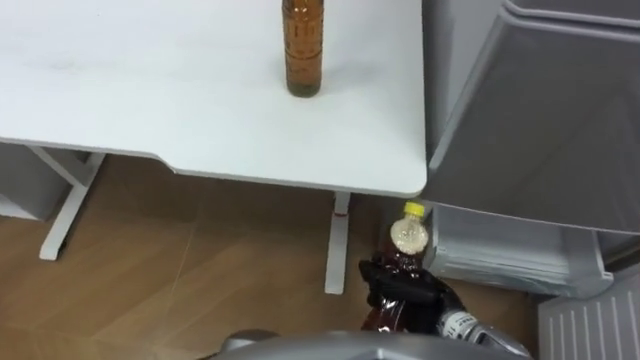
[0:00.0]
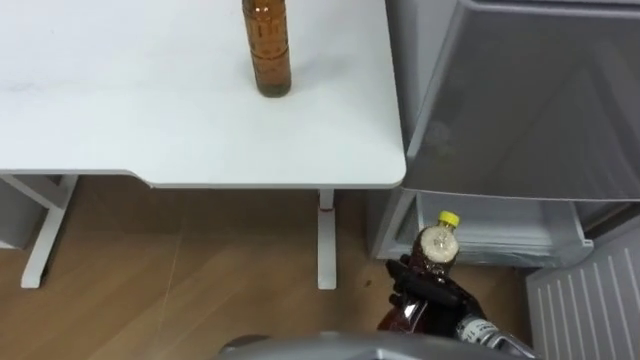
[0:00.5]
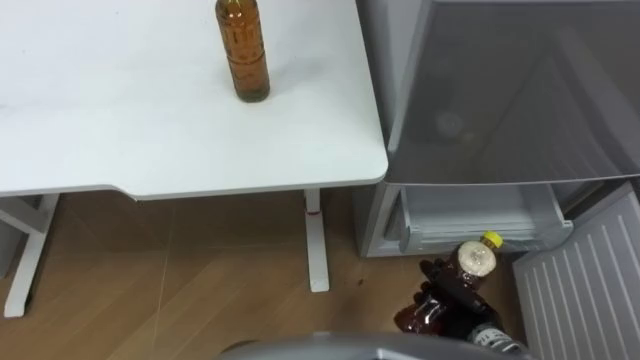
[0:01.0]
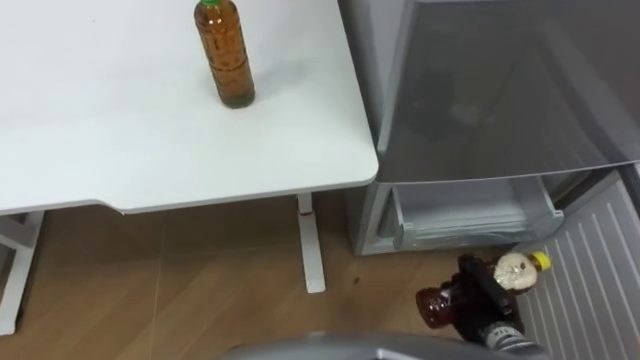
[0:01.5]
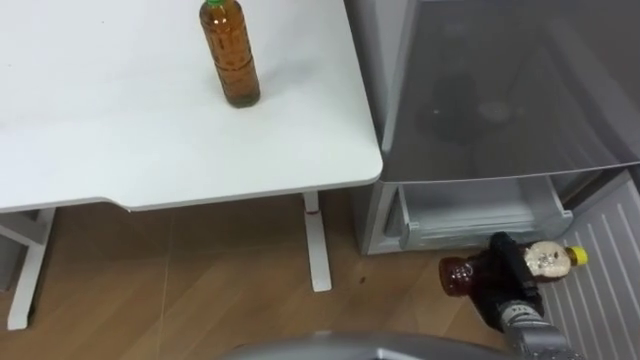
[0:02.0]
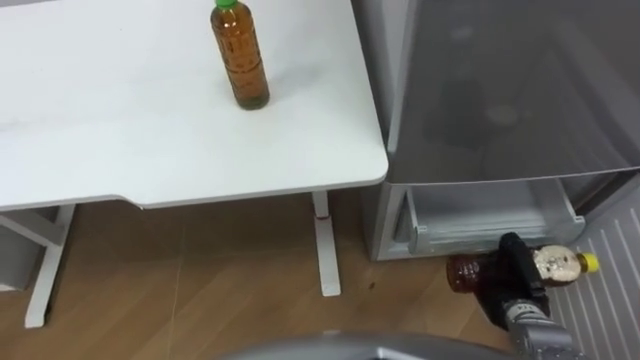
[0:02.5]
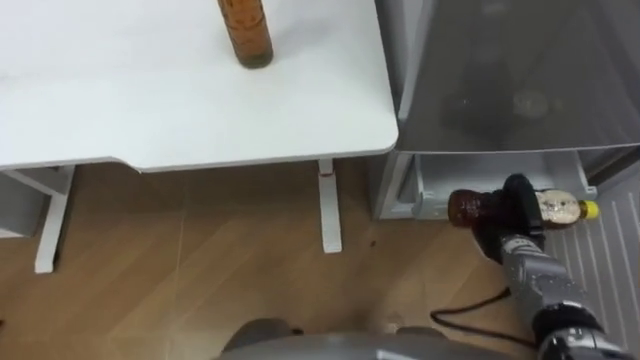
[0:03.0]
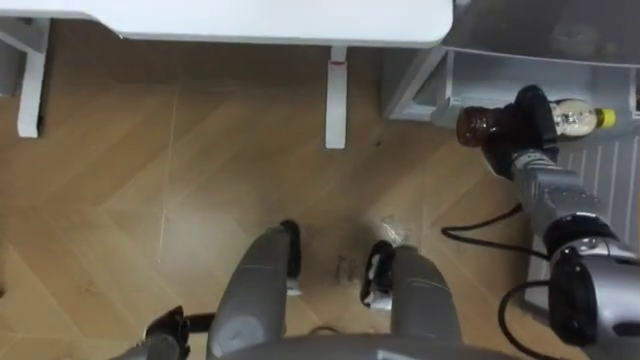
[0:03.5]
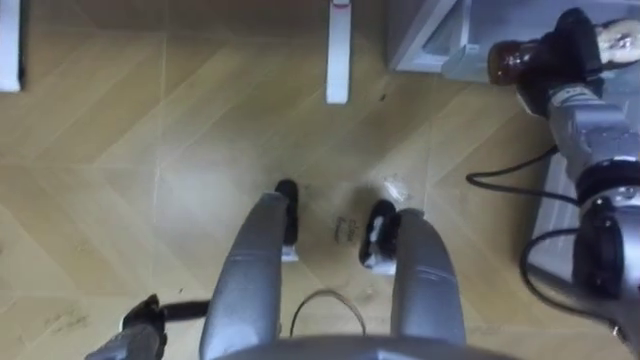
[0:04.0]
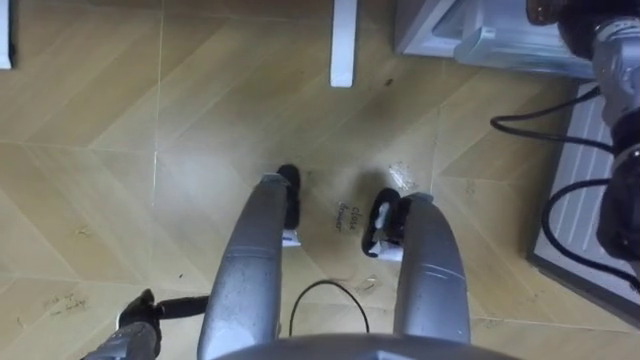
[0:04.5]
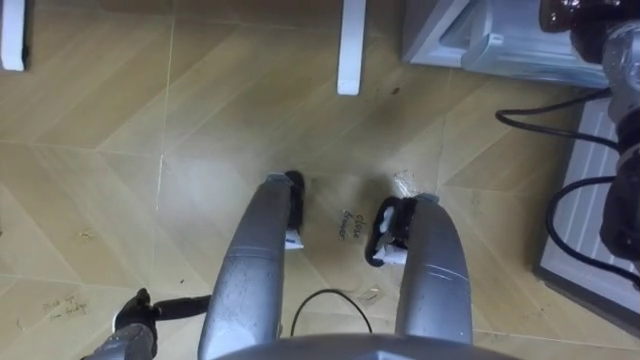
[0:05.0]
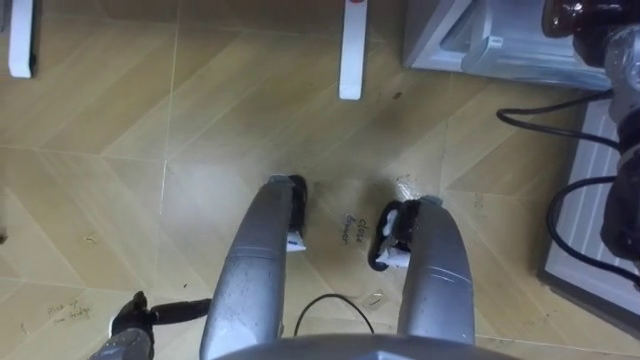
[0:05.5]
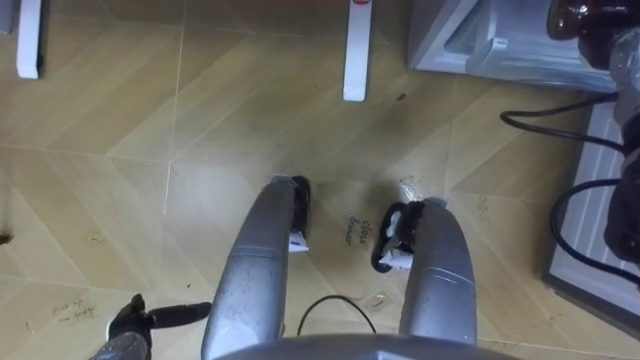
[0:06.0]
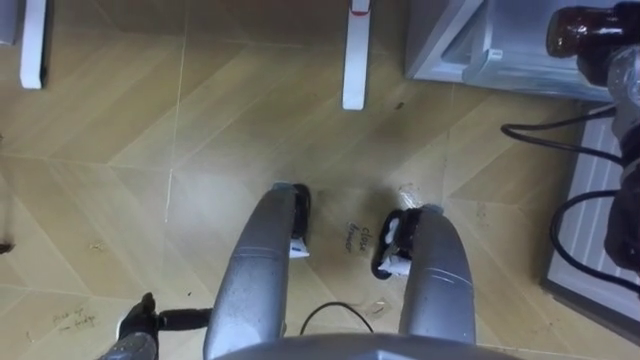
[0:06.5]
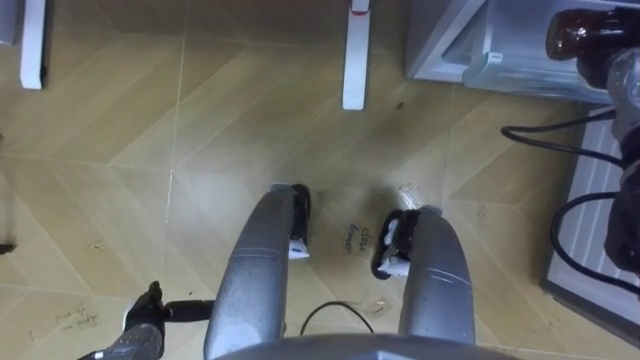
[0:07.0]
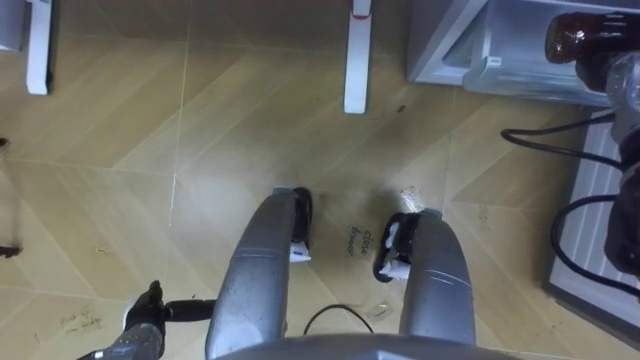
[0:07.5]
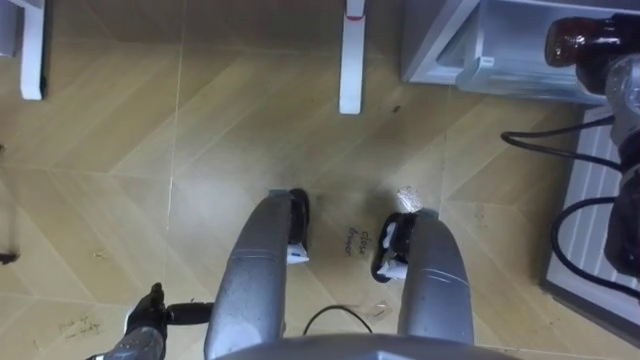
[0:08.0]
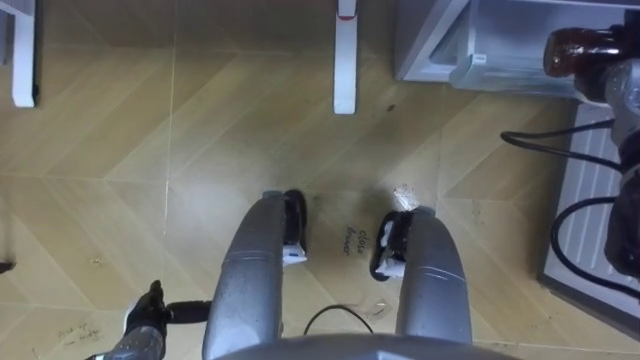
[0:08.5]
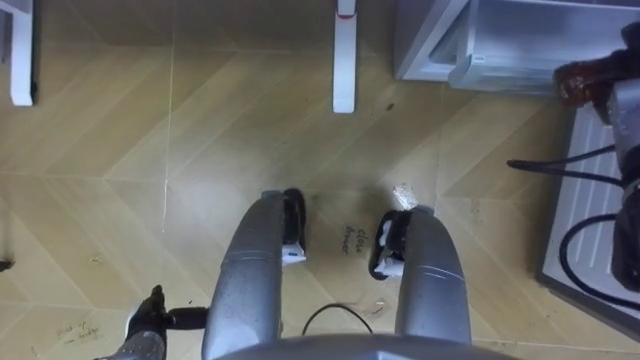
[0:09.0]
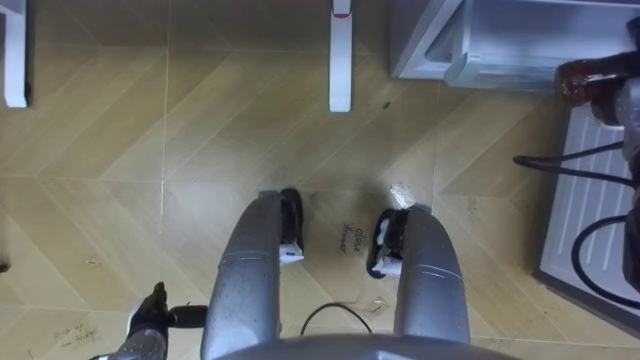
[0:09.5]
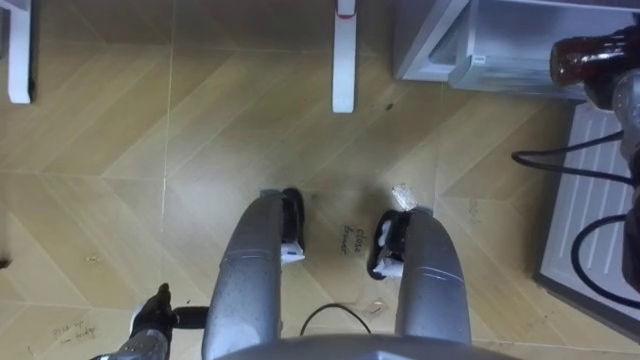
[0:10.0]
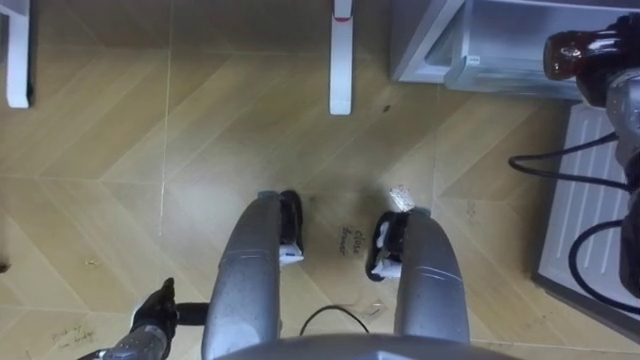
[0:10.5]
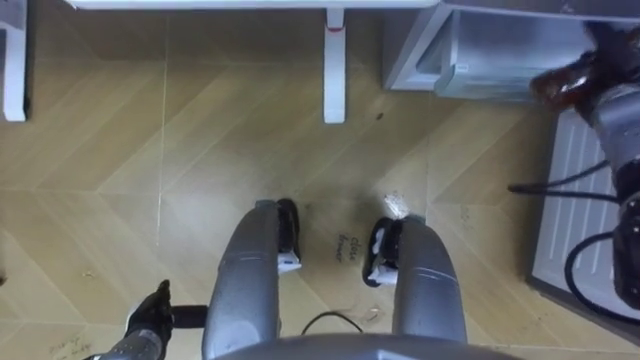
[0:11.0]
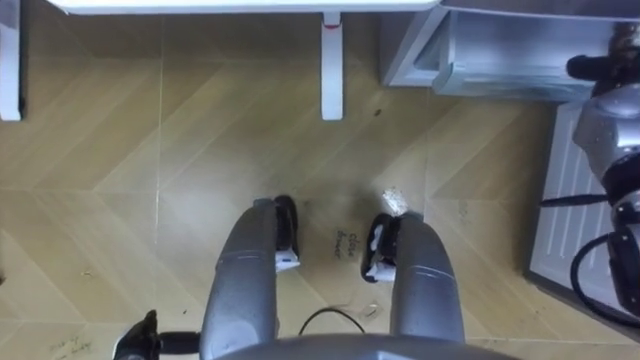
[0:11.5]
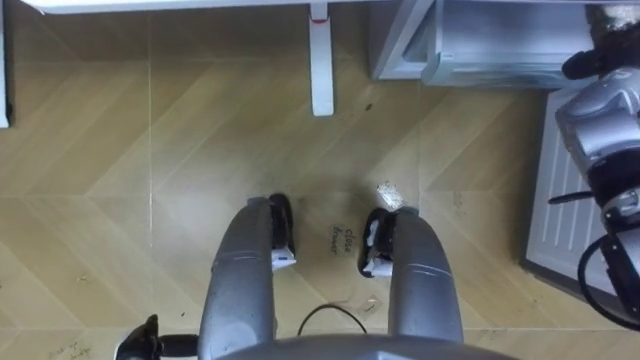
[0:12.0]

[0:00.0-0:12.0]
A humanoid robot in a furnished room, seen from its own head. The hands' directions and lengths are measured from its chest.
Task of the whole recording: Place the drink on the table on the bottom shelf of the refrigerator, then close the drawer and the refrigerator door.
0:00.0 to 0:02.0: The right hand heads to the right, covering some 15 cm.
0:02.0 to 0:04.0: The right hand is displaced forward and upward by some 30 cm.
0:04.0 to 0:06.0: The right hand goes about 5 cm upward.

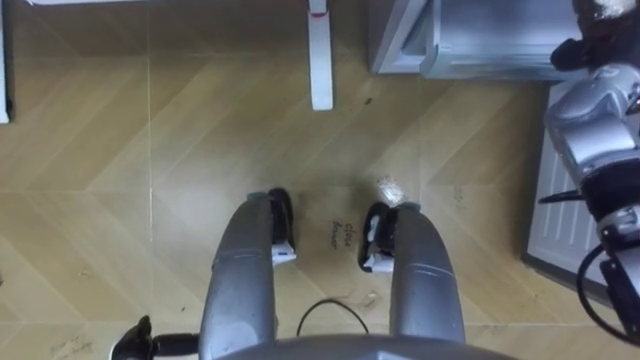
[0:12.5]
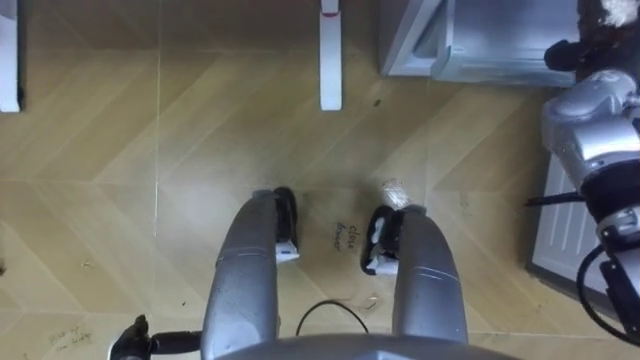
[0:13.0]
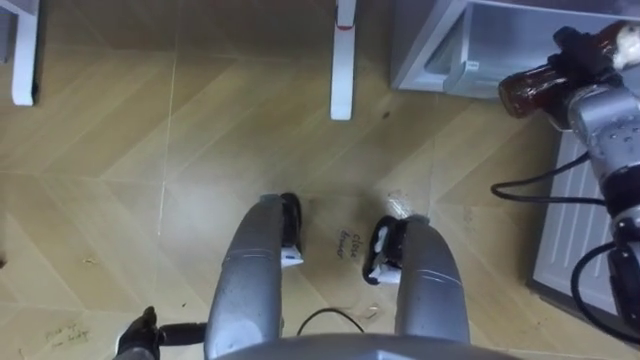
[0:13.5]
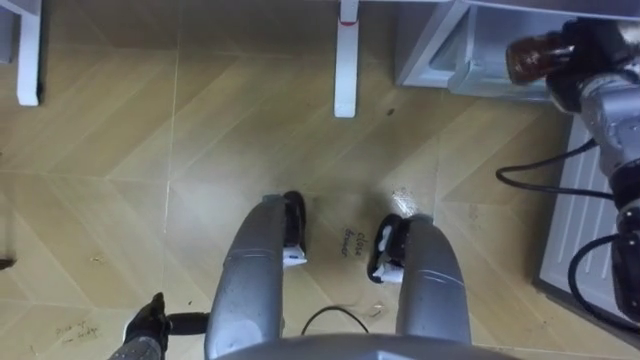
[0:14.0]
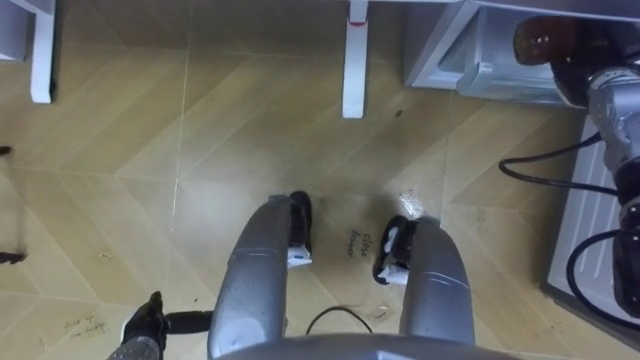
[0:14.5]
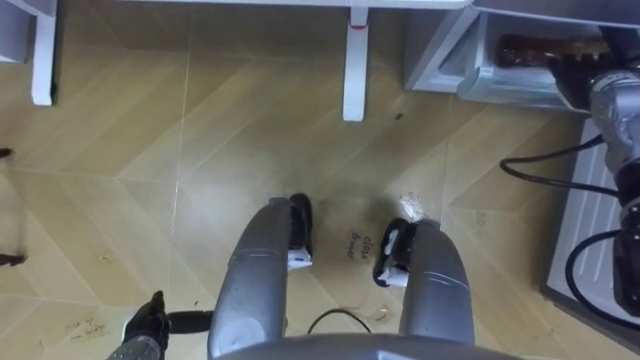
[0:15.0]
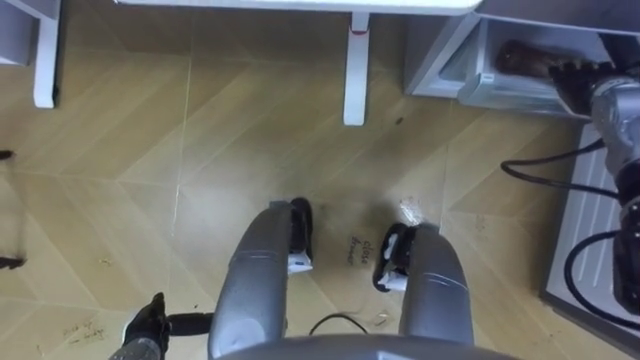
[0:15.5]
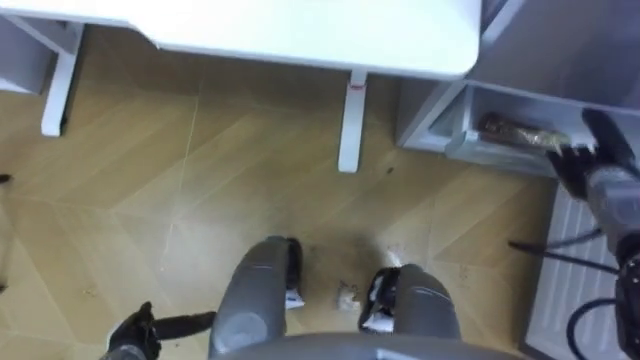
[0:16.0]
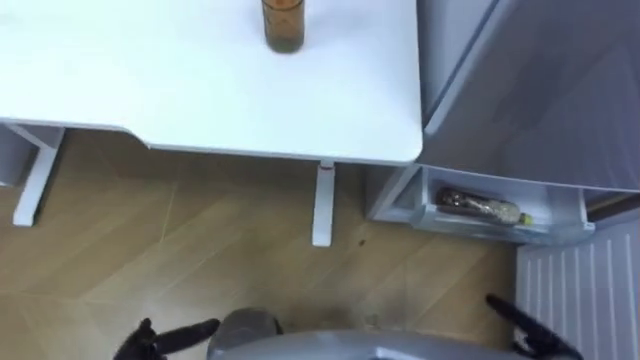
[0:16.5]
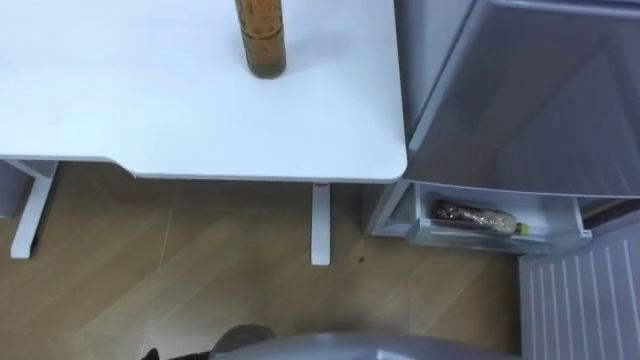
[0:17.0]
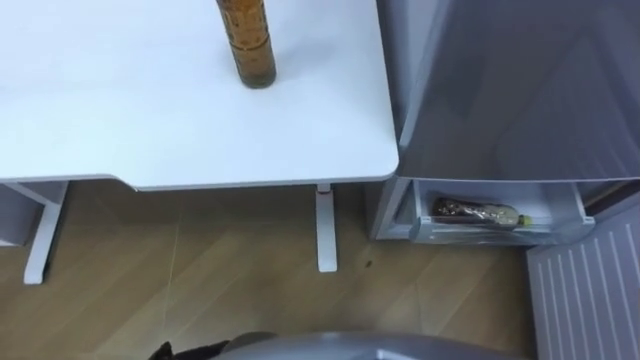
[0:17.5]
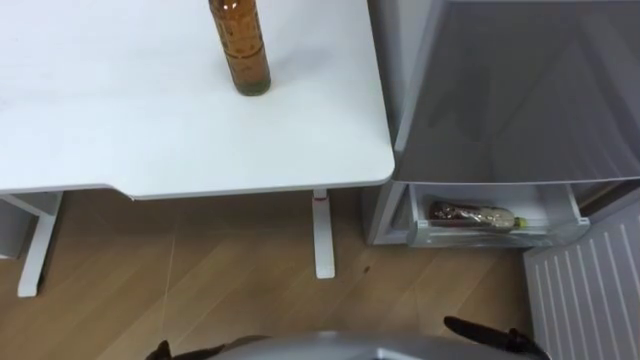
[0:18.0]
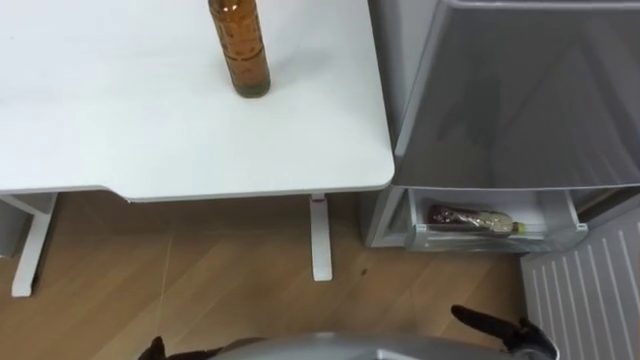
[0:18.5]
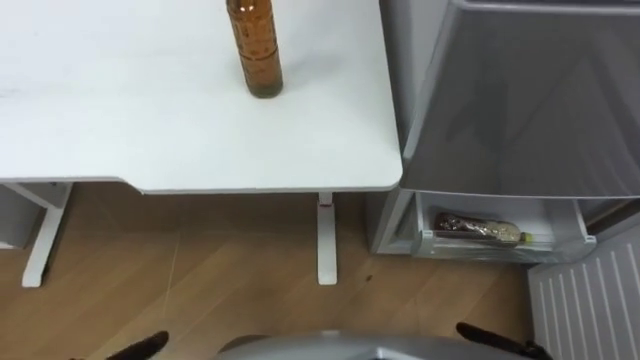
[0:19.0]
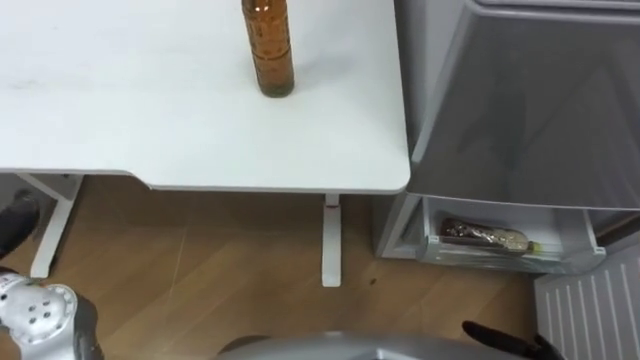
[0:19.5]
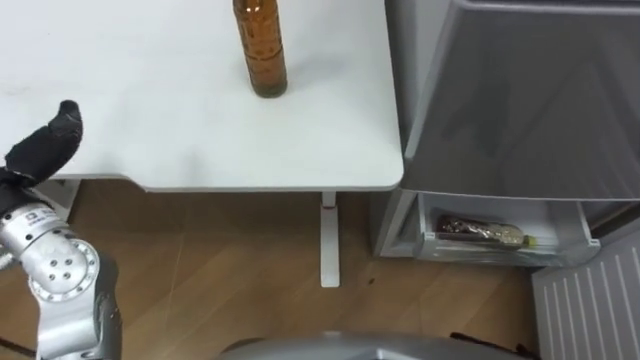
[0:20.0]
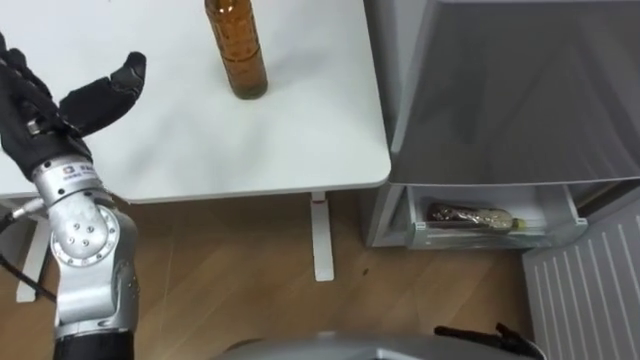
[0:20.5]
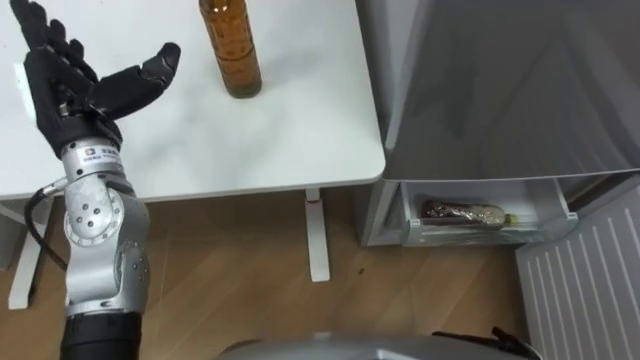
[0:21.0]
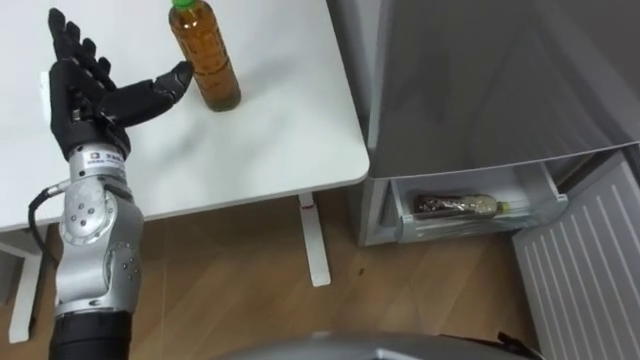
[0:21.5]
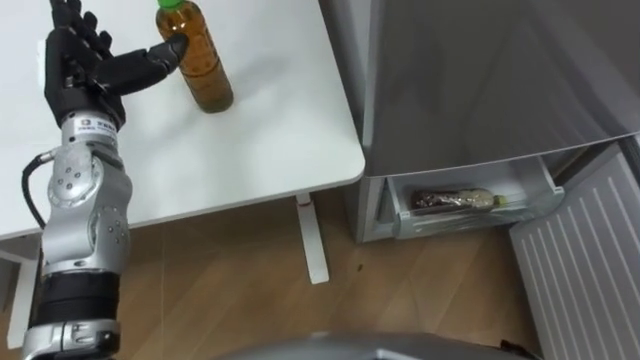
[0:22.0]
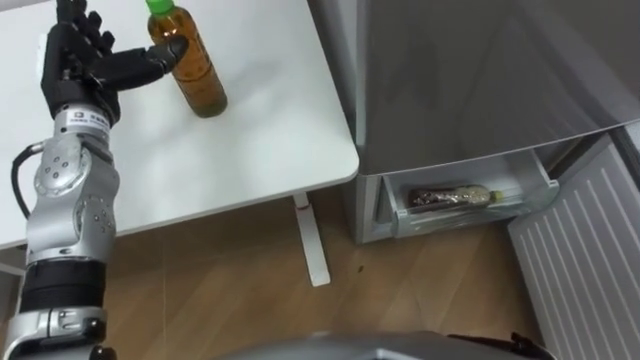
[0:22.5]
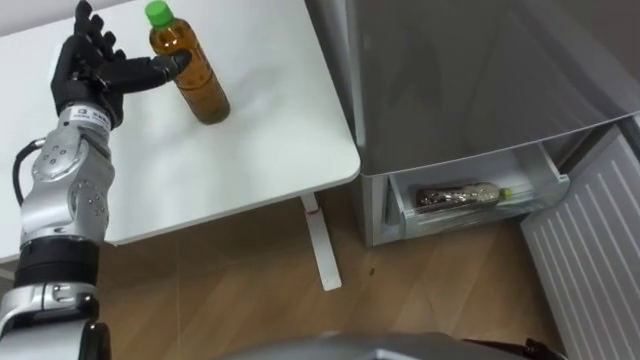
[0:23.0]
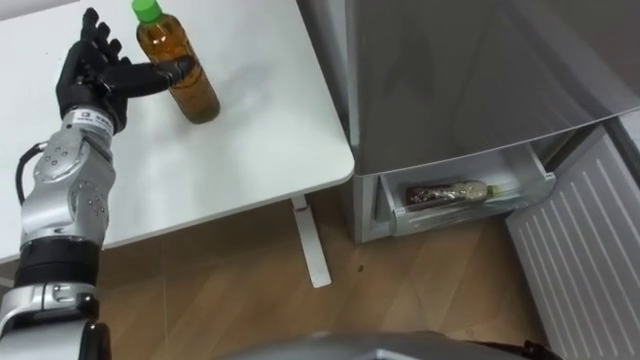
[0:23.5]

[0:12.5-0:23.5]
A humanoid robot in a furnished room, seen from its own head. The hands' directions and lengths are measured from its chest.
Task of the whole recording: Place the drink on the table on the bottom shelf of the refrigerator, then close the drawer and the refrigerator door.
0:12.5 to 0:14.5: The right hand is displaced downward by approximately 5 cm, and opens its fingers.
0:14.5 to 0:16.0: The right hand goes approximately 15 cm downward and backward.
0:21.5 to 0:23.5: The left hand moves forward, some 5 cm.
